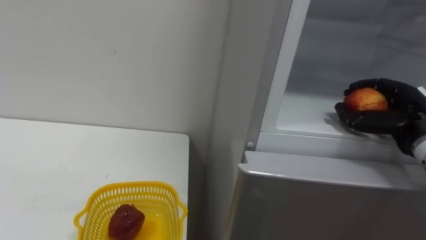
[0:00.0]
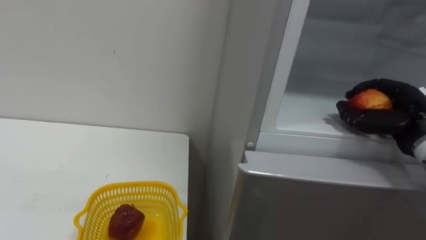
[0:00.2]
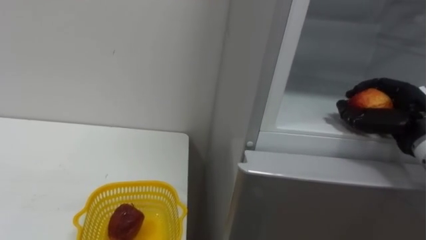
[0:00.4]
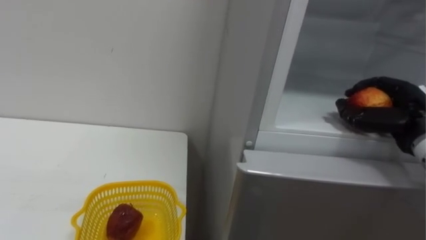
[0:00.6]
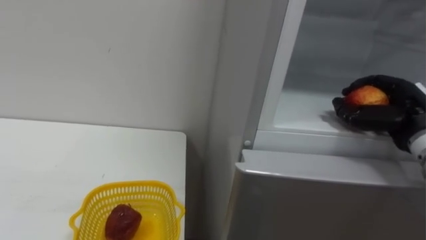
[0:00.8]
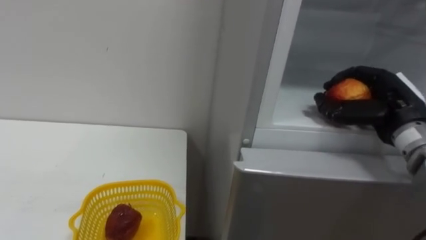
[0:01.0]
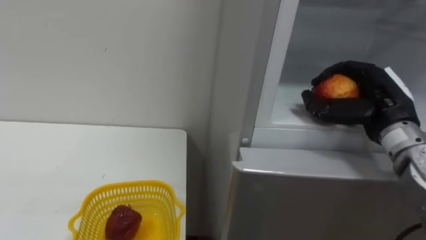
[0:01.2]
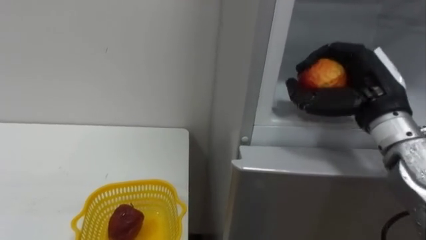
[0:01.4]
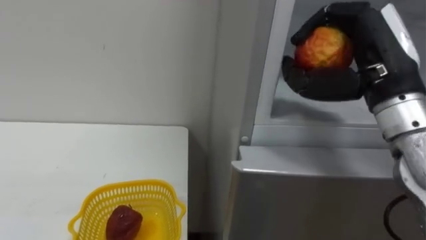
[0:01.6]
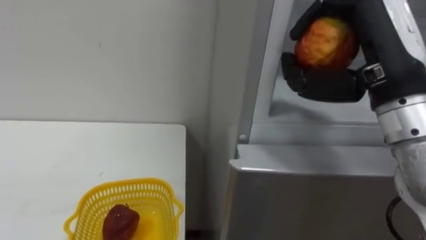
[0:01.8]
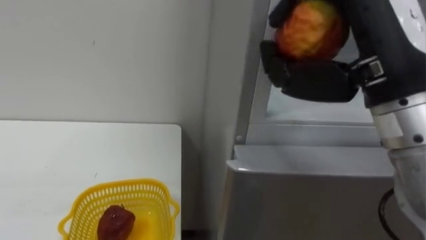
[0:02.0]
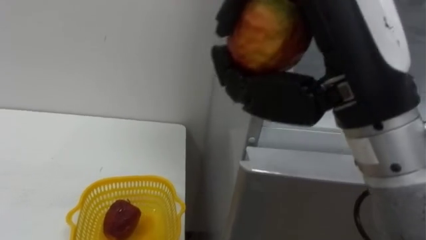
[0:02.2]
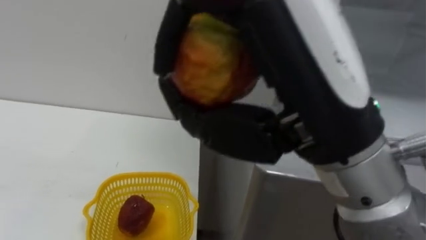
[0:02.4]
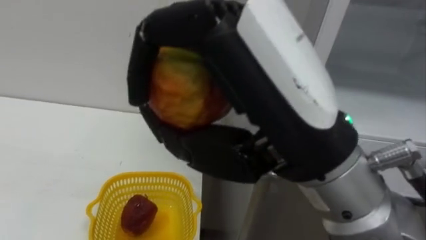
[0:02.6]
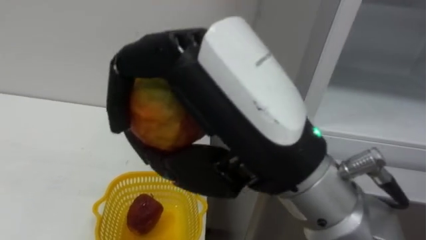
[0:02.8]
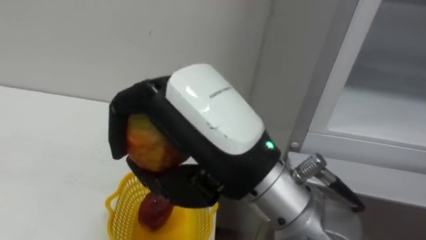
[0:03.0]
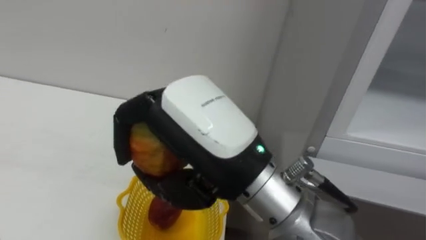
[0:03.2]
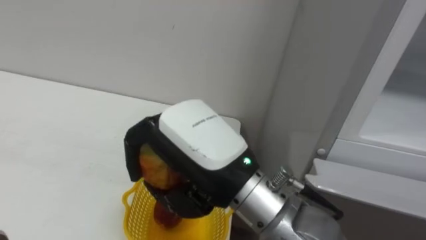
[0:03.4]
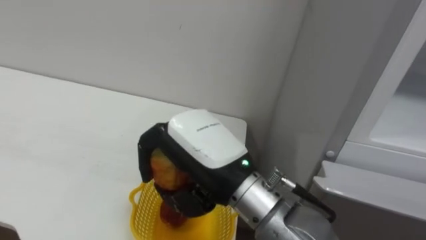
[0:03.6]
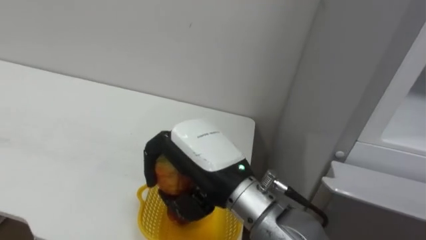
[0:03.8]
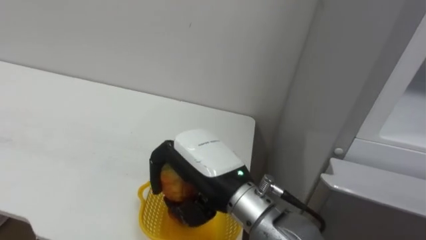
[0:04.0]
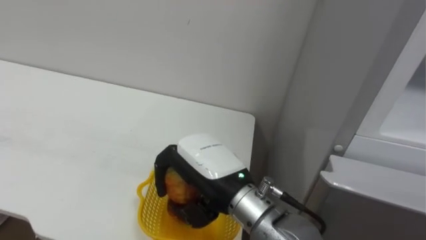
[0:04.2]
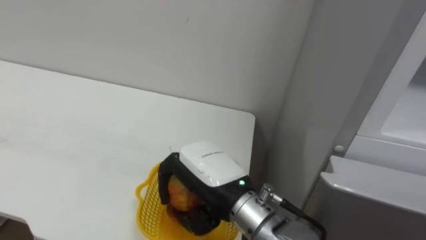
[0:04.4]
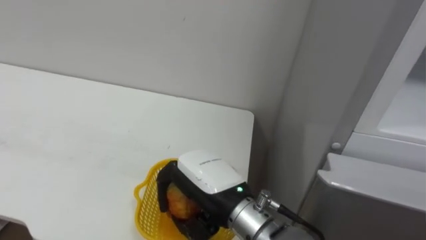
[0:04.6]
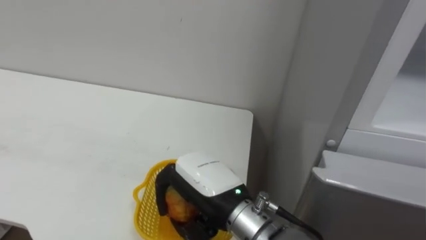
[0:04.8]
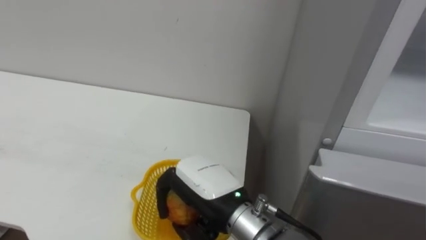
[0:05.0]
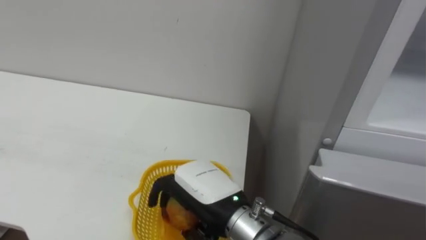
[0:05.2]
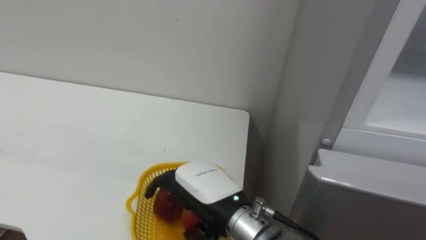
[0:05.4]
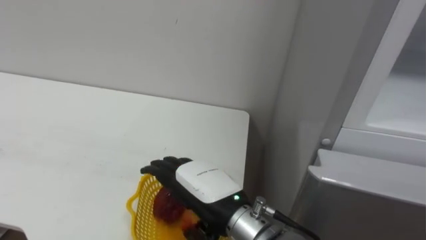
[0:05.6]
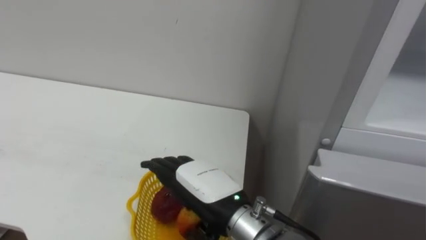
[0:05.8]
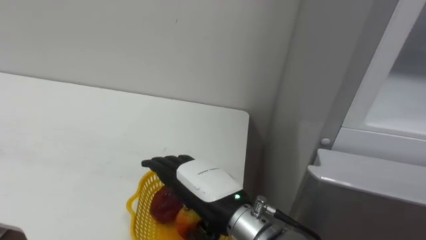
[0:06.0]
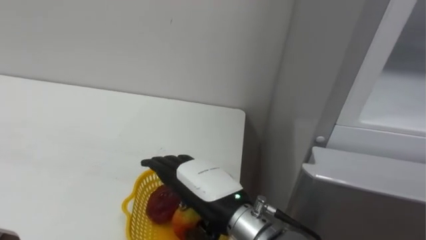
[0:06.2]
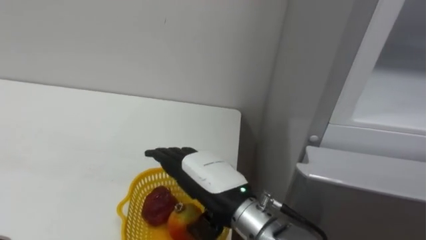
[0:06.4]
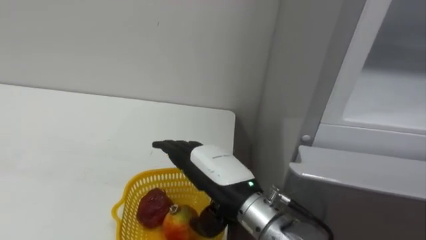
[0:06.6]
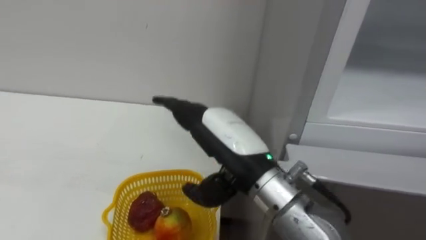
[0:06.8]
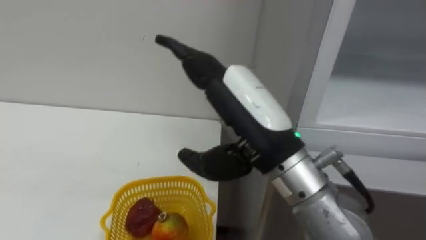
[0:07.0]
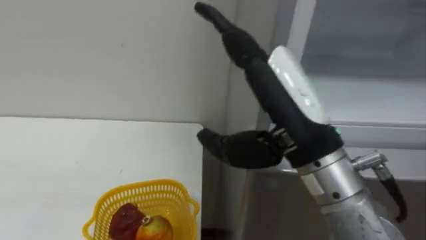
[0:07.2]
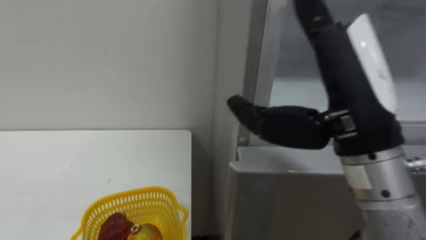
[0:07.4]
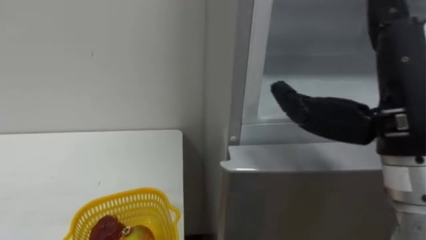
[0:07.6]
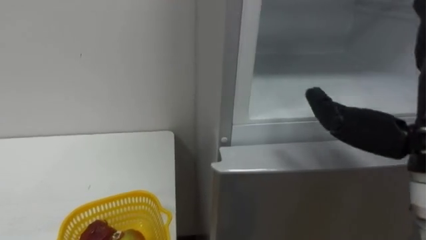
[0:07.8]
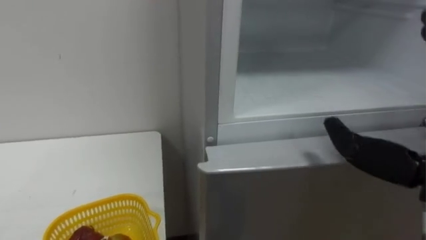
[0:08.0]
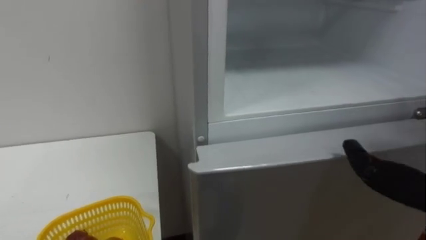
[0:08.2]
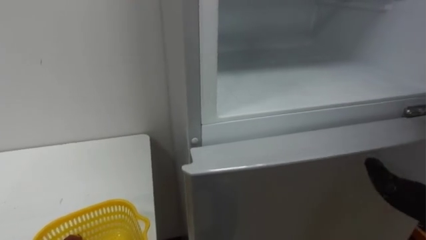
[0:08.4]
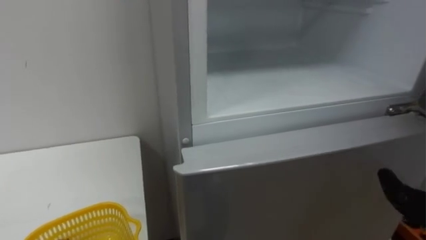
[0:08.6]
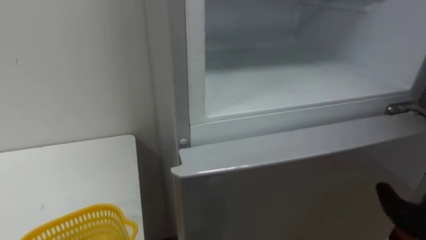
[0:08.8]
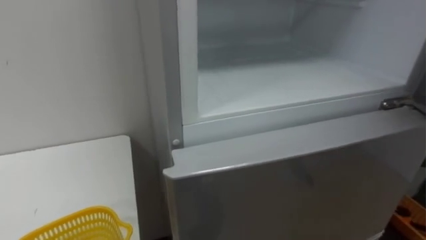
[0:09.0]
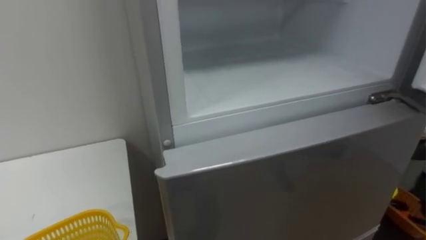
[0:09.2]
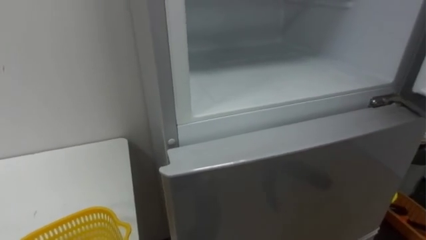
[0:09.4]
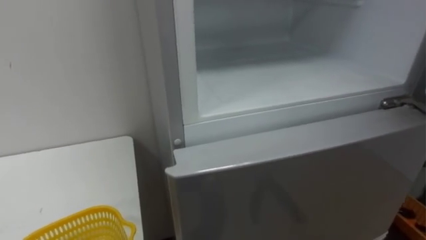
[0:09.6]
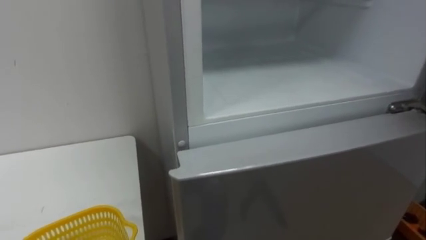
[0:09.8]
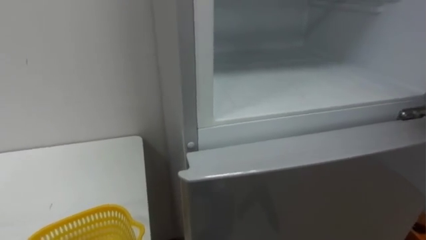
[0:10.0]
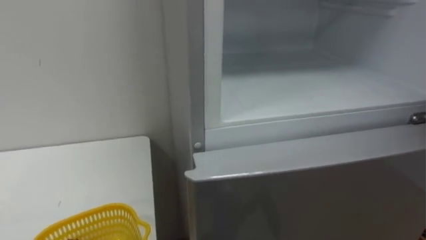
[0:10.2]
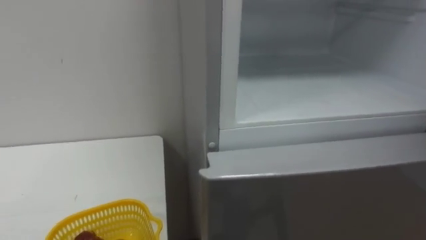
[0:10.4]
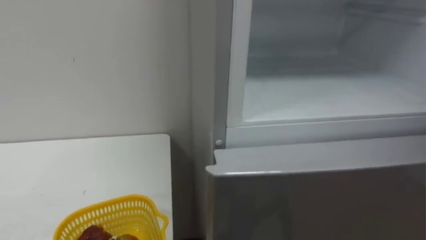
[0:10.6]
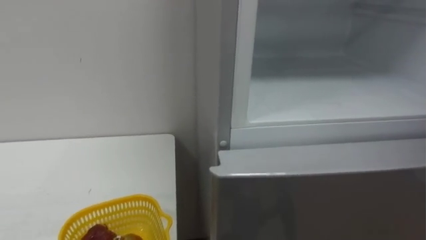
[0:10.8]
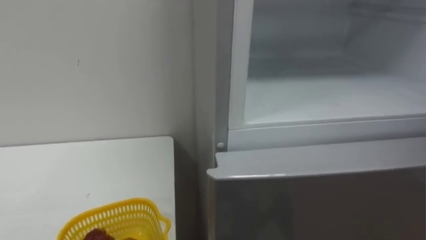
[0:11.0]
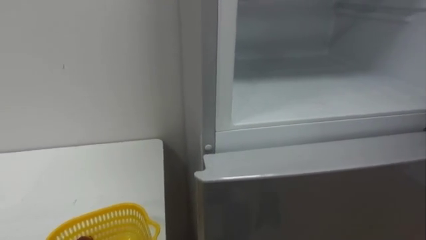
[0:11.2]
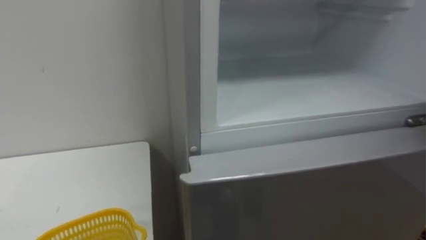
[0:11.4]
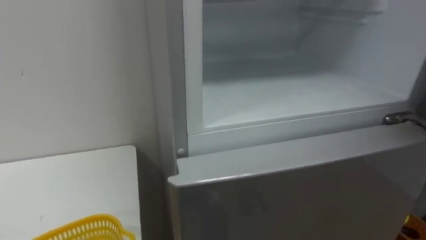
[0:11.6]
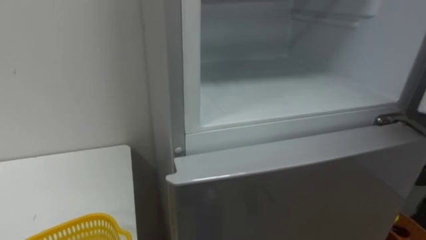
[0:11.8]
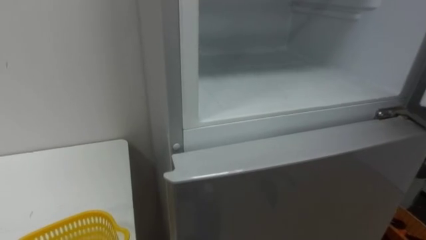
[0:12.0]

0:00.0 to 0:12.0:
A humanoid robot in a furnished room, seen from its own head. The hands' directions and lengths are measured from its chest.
Task of the whole recording: Open the refrigerator door, take out the apple and the pomegranate, place them in the fruit basket on the left, and close the refrigerator door.
0:00.0 to 0:01.6: The right hand heads upward, to the left and backward, covering approximately 20 cm.
0:01.6 to 0:03.0: The right hand shifts roughly 20 cm to the left and backward.
0:03.0 to 0:04.4: The right hand heads downward and forward, covering roughly 15 cm.
0:04.4 to 0:06.0: The right hand opens.
0:06.0 to 0:07.6: The right hand travels upward and to the right by roughly 25 cm.

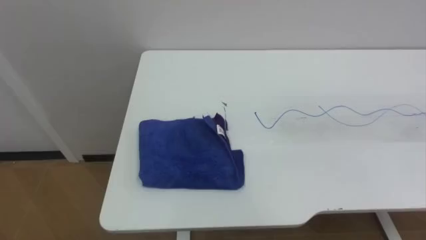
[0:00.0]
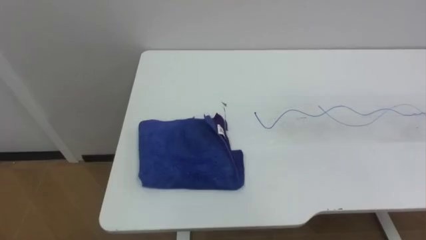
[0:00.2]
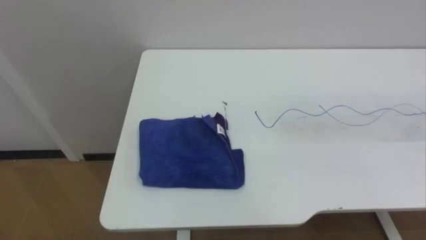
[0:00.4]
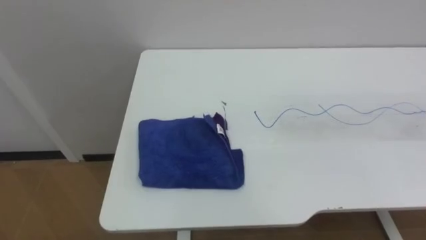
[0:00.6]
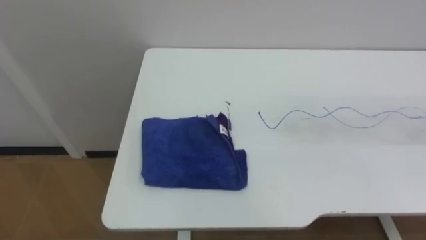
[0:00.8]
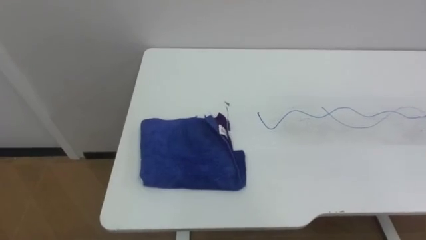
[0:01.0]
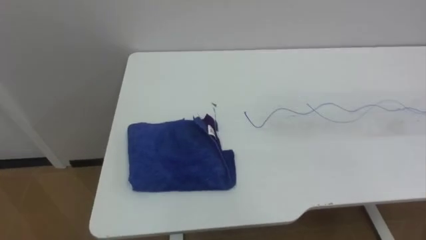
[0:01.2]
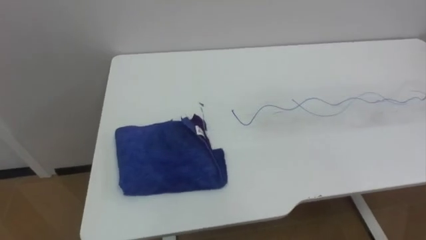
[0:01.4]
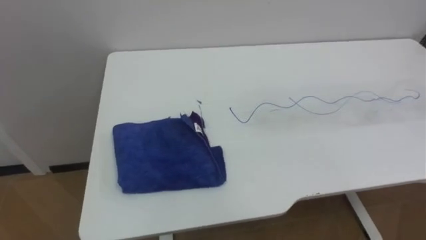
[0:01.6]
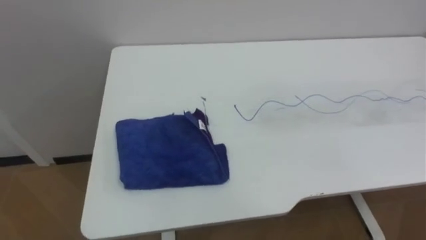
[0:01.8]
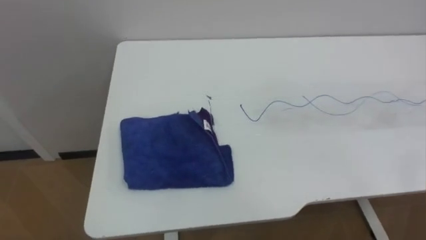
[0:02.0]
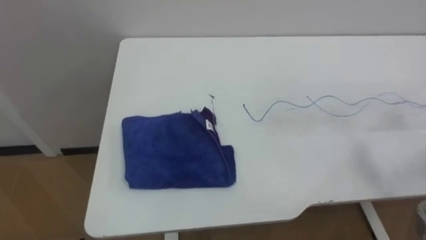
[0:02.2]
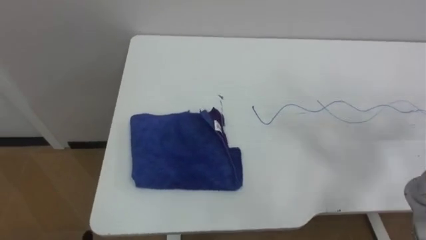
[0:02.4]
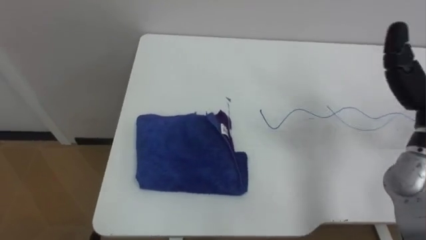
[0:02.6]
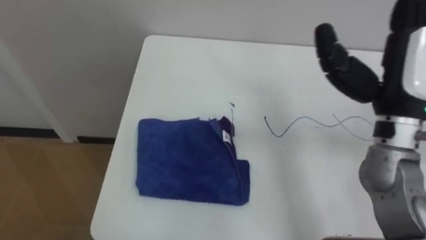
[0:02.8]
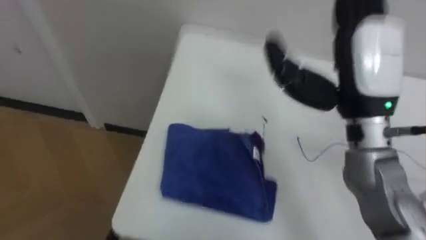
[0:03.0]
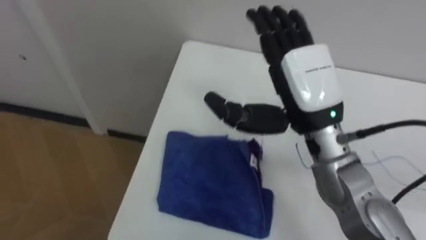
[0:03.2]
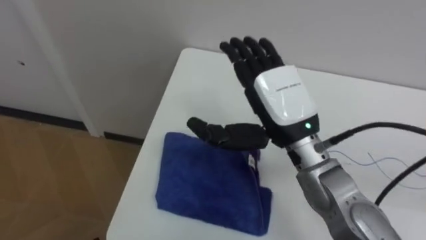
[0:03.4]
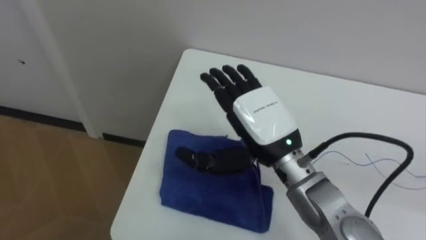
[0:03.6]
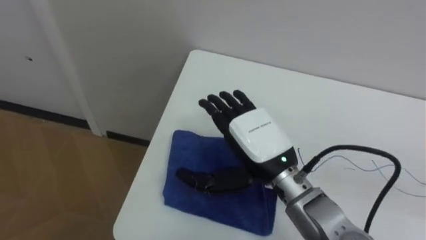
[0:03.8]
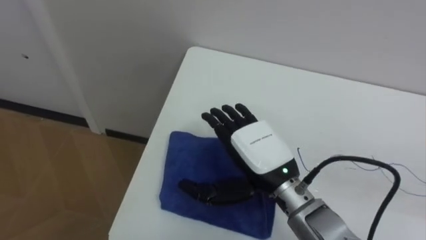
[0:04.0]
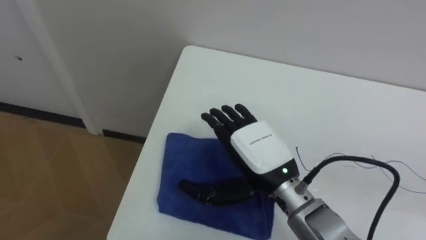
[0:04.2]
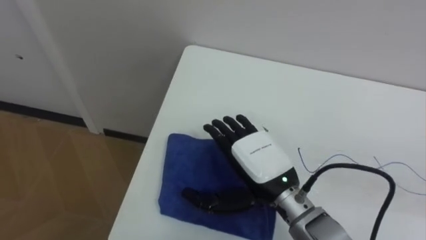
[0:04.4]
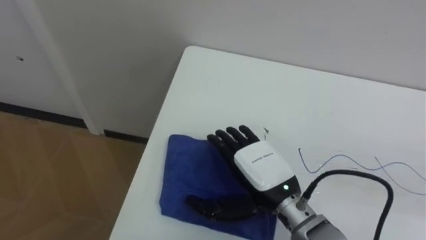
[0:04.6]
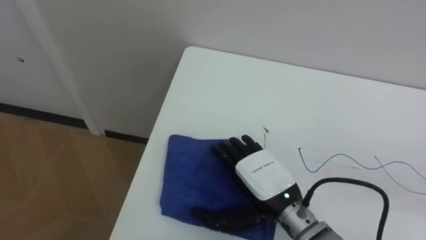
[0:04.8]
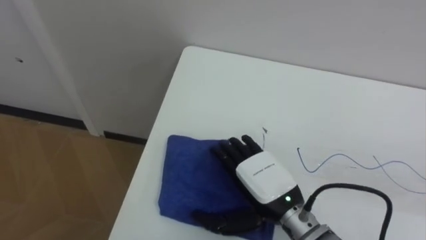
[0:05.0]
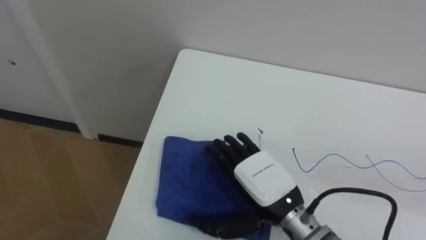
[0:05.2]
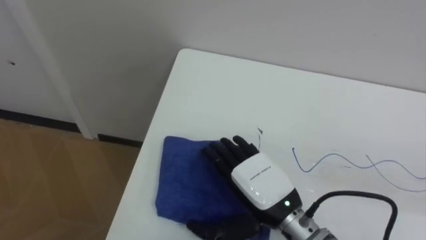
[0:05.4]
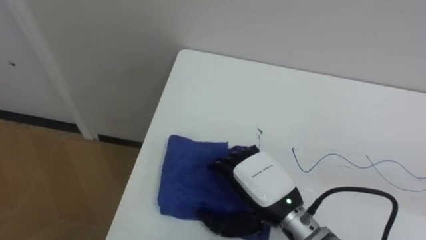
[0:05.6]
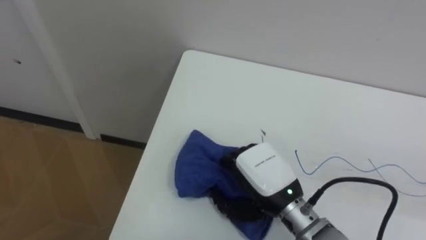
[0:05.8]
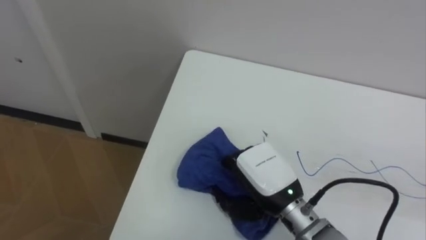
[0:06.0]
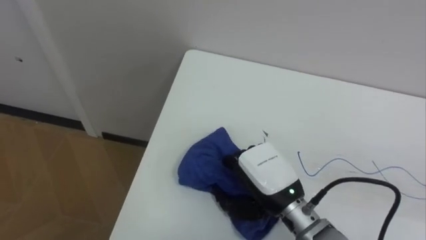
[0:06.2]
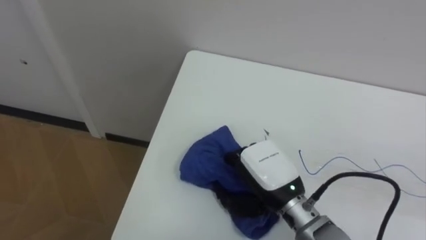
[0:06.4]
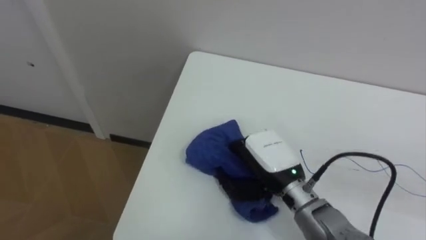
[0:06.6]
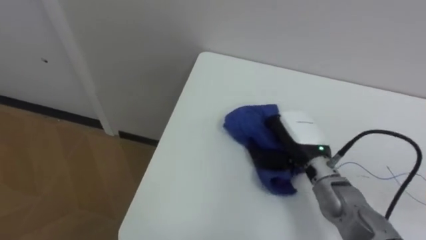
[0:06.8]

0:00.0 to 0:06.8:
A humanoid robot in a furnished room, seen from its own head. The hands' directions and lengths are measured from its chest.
Task of the whole recording: Wipe the blue pen marks off the table with the rag.
0:02.8 to 0:04.0: The right hand is displaced to the left and downward by about 20 cm.
0:04.0 to 0:05.4: The right hand changes place by some 5 cm.
0:05.4 to 0:06.8: The right hand goes approximately 10 cm forward and to the right, and closes.
